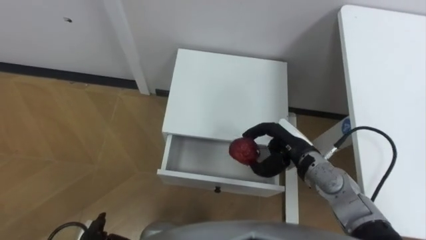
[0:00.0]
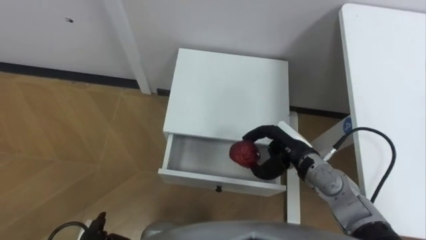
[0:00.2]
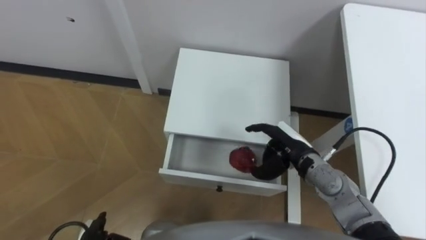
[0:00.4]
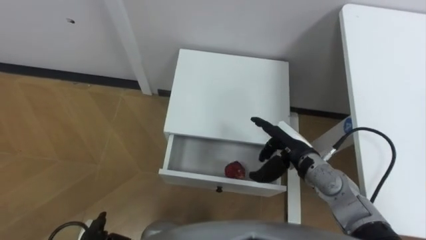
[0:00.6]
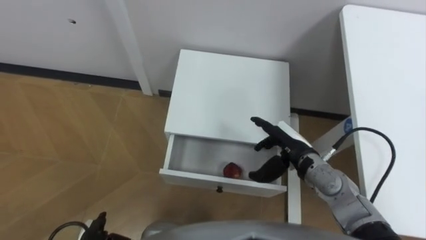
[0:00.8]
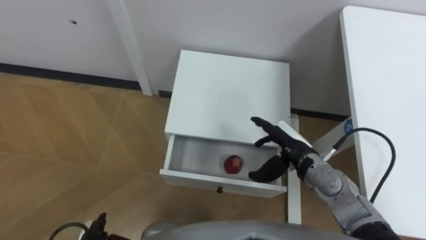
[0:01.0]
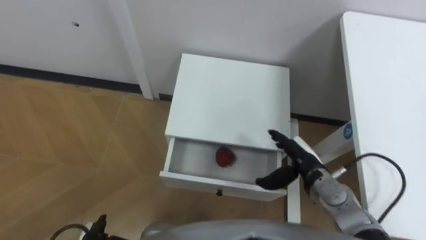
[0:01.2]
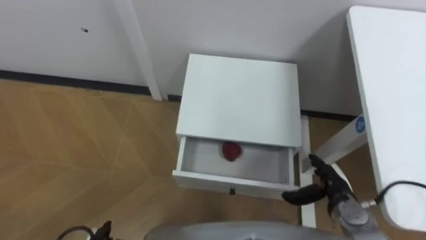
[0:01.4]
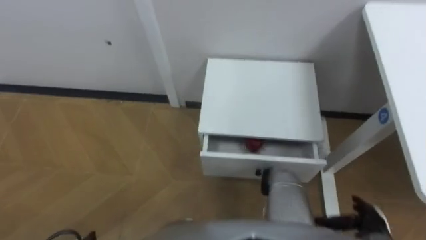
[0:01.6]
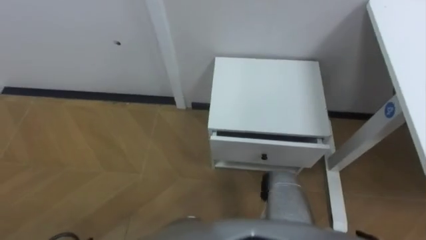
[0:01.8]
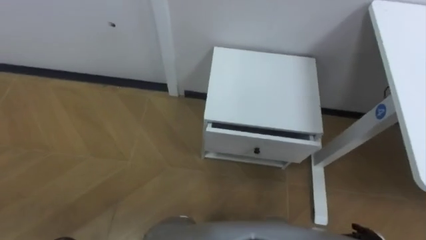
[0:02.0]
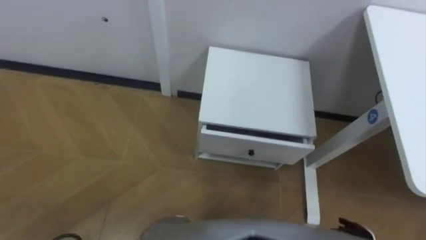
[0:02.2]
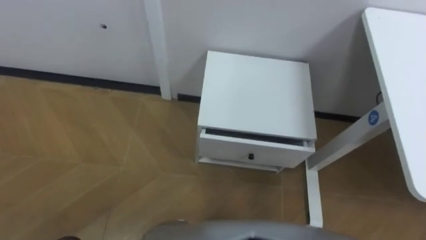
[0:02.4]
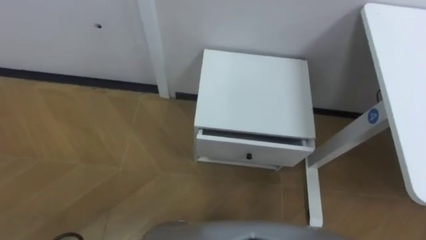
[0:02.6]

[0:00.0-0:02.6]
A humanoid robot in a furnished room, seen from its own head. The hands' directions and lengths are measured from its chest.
Task of the whole recording: Pick up the apple from the table, put it in the drawer, and close the drawer with leg.
0:00.0 to 0:01.2: The right hand ends up about 5 cm from where it was, and opens.

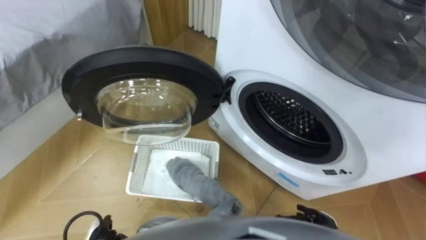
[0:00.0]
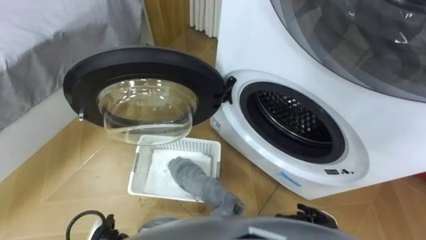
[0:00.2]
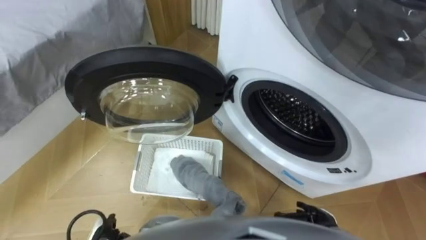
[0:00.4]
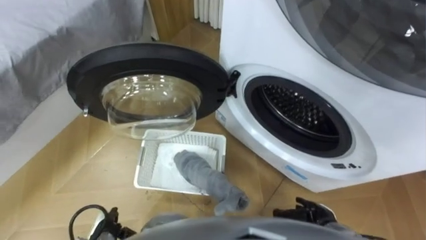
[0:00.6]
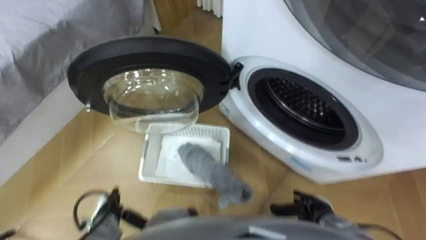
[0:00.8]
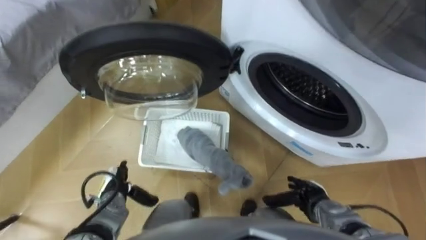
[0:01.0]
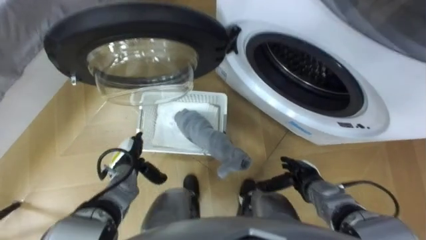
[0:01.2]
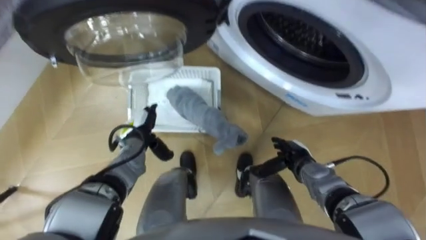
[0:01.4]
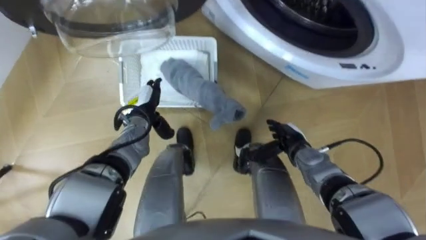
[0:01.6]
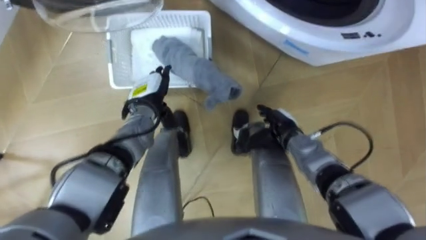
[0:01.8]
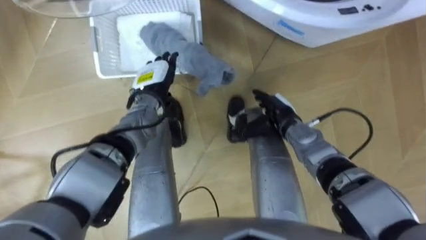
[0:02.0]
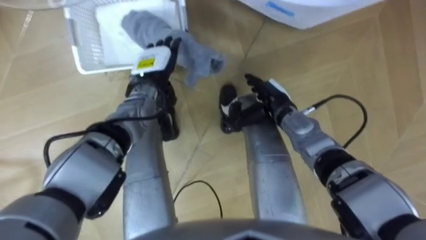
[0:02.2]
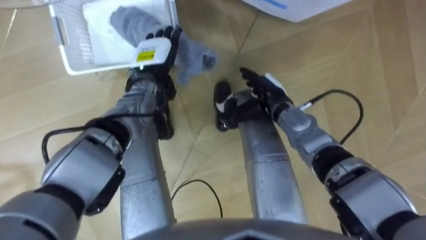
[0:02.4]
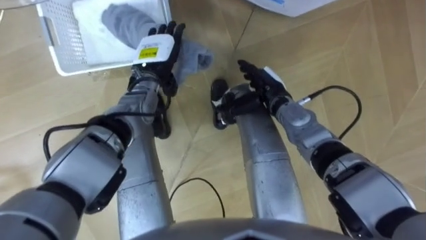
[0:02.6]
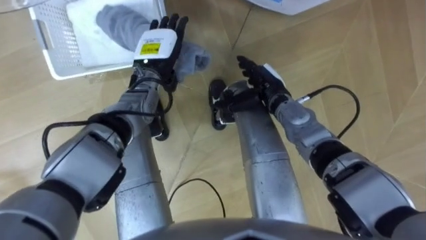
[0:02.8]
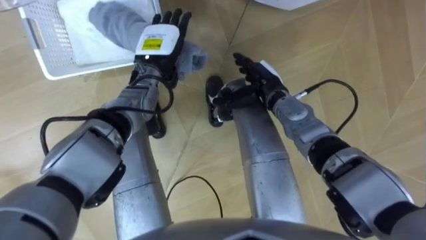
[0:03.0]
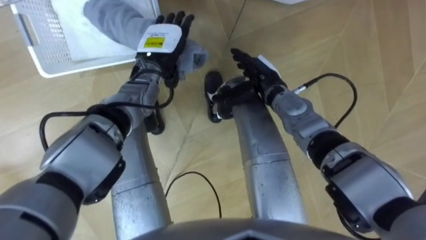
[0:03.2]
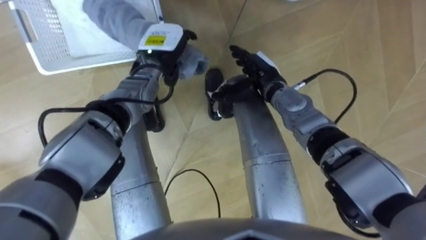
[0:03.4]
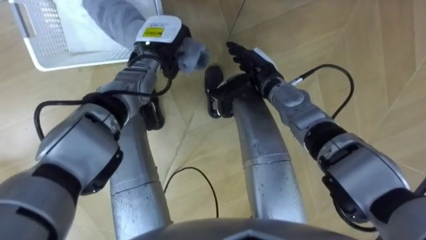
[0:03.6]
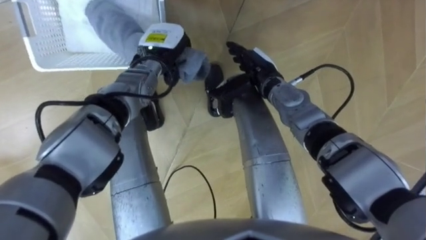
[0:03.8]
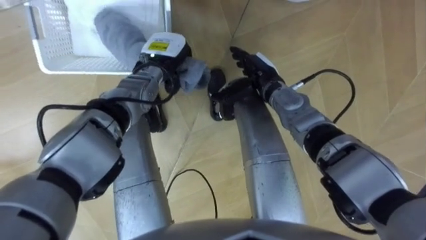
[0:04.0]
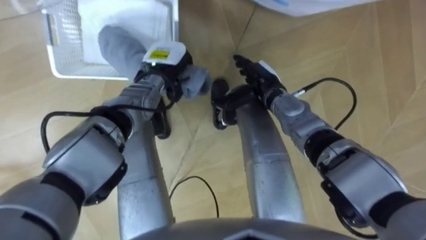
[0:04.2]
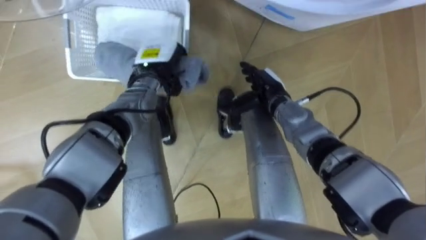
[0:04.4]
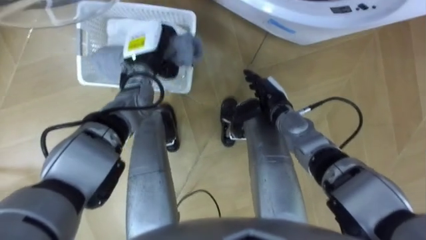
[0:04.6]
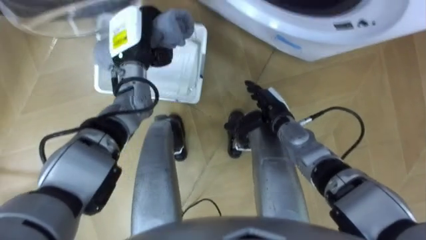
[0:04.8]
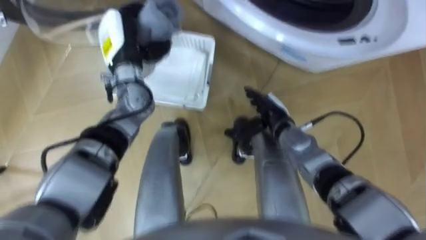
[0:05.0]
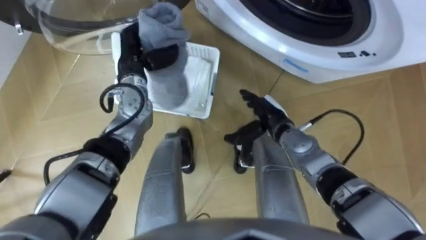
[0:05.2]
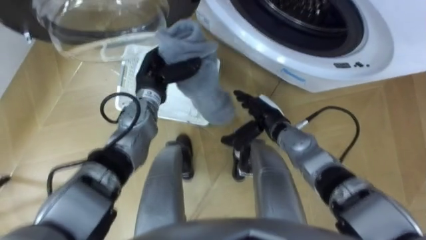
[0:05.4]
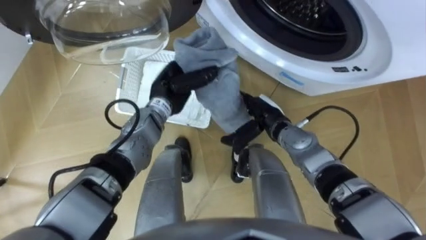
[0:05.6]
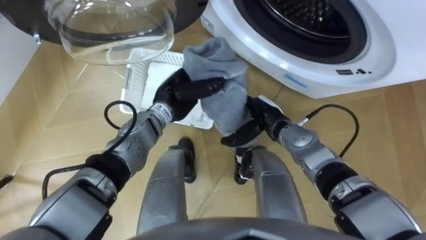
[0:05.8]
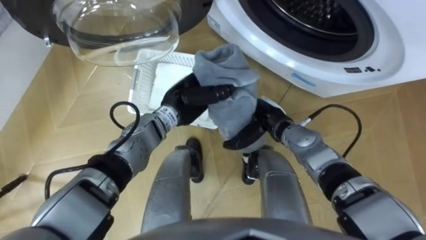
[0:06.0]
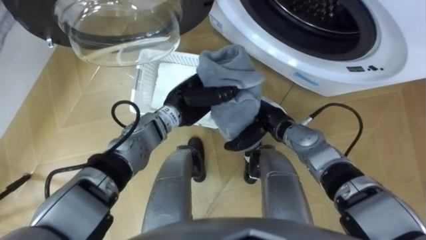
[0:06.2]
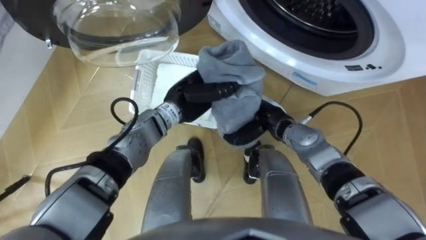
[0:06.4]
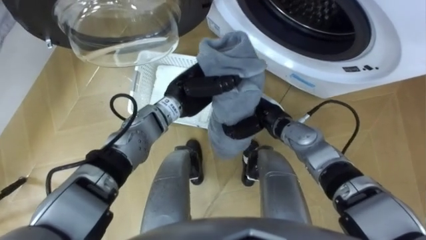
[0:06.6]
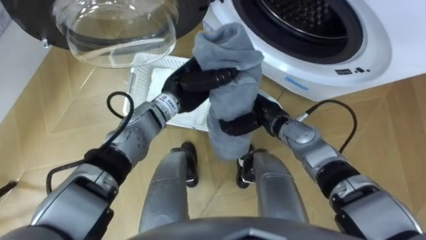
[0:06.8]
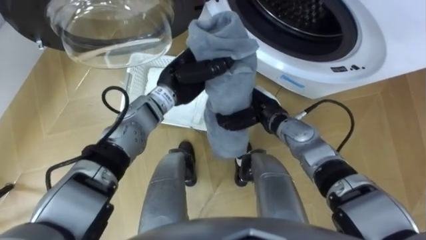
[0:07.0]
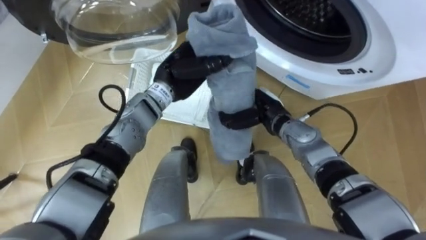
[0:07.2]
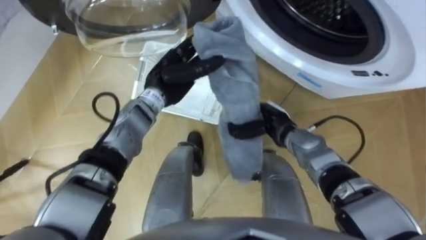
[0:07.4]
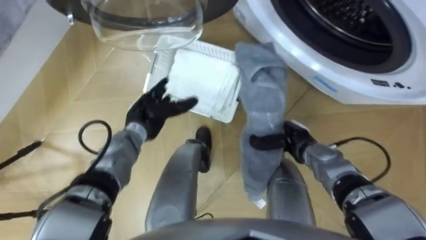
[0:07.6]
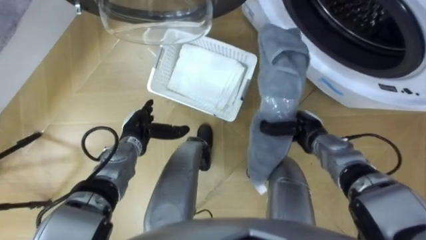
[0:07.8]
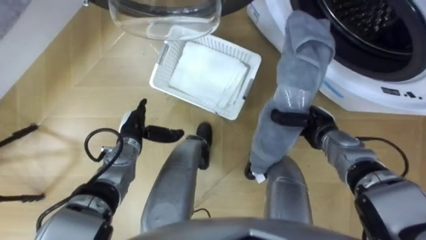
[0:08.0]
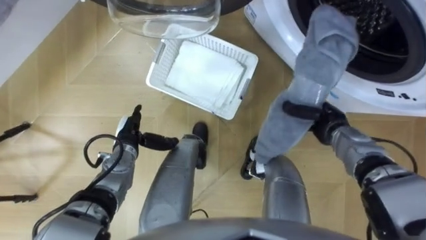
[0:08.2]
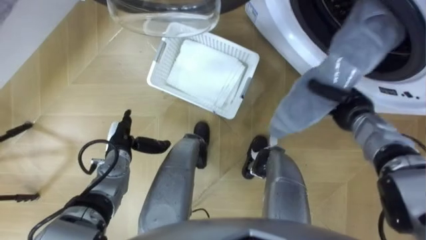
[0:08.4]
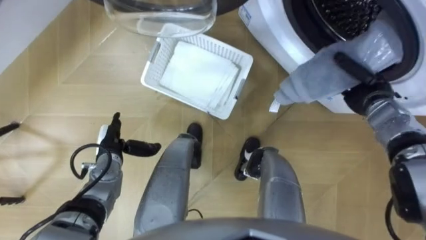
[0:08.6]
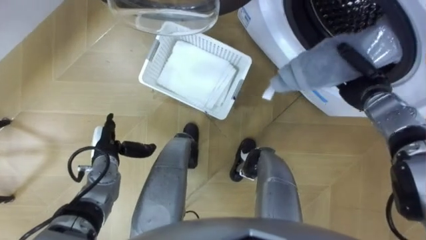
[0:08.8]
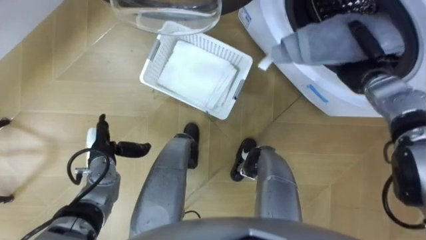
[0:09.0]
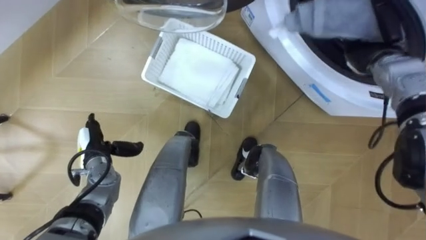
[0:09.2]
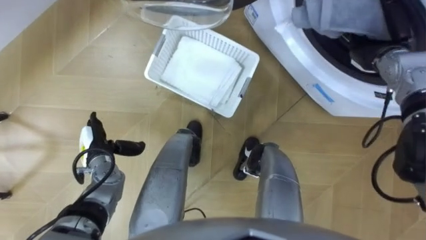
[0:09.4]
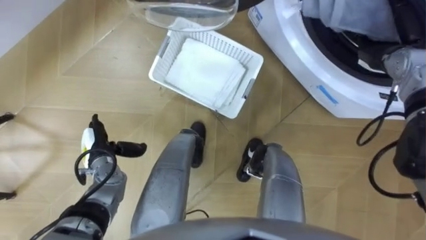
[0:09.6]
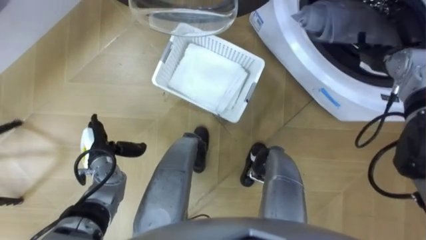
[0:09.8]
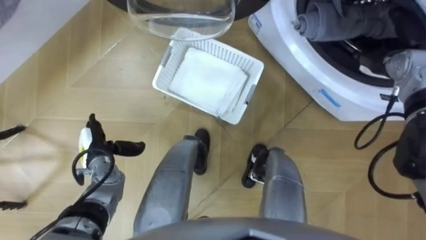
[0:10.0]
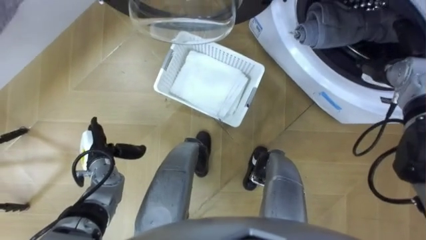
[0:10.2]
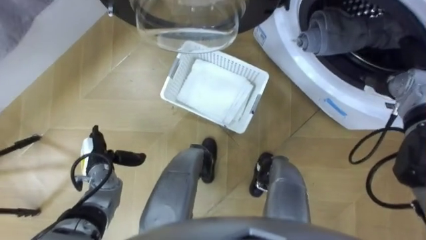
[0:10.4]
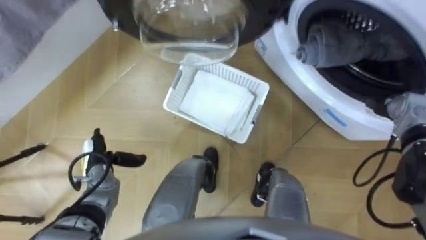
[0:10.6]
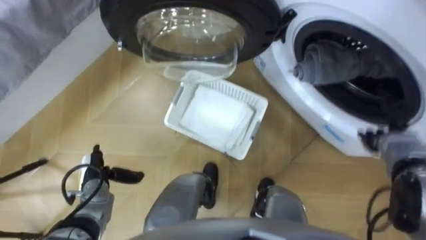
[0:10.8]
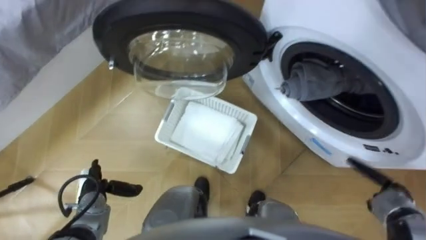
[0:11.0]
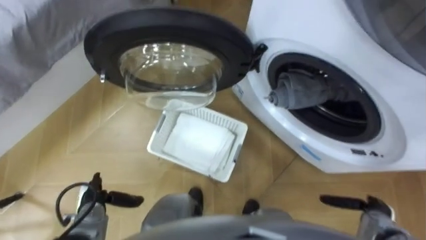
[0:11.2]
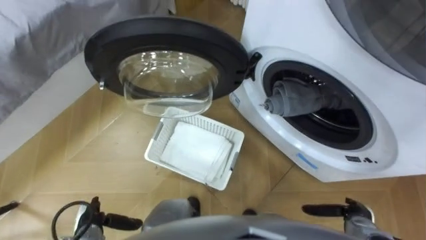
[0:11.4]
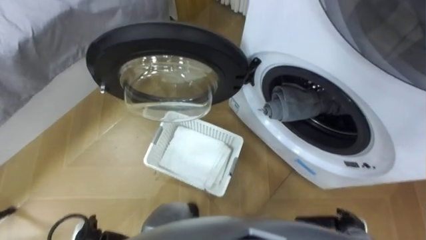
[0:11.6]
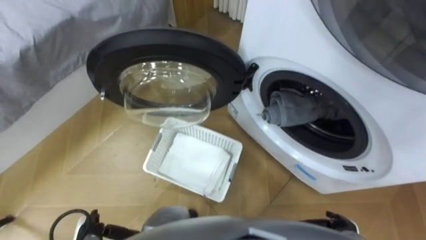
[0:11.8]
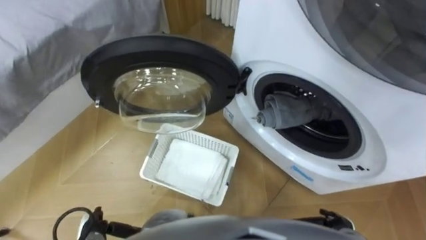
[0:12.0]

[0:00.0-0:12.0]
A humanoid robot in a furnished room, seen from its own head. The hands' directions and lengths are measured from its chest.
Task of the whole recording: Take the towel from the basket and put it into the washing machine.
0:01.6 to 0:03.0: The right hand shifts some 15 cm upward, forward and to the left; the left hand travels upward, forward and to the right by approximately 15 cm.
0:03.0 to 0:04.4: The left hand closes.
0:04.4 to 0:06.0: The left hand travels backward and to the right by some 10 cm; the right hand moves some 5 cm.
0:06.0 to 0:07.6: The right hand goes approximately 5 cm to the right, and closes up. Meanwhile the left hand moves to the left and downward, about 10 cm, and opens.
0:07.6 to 0:09.0: The left hand moves to the left and backward, about 15 cm. Meanwhile the right hand is displaced to the right, upward and forward by roughly 20 cm.
0:09.0 to 0:10.4: The right hand goes approximately 5 cm to the right, and opens its fingers.
0:10.4 to 0:12.0: The right hand heads backward and downward, covering about 35 cm.

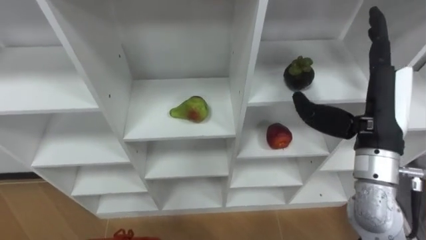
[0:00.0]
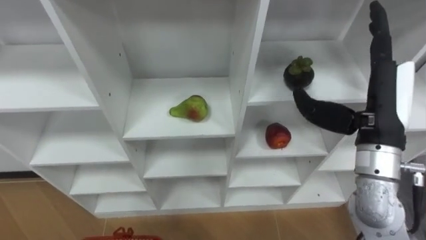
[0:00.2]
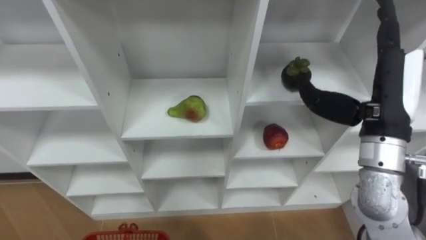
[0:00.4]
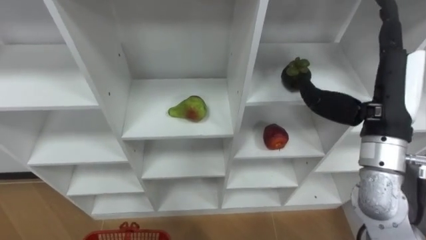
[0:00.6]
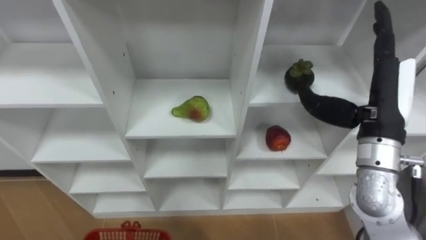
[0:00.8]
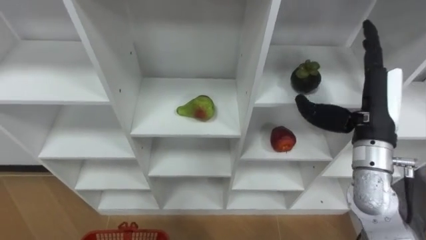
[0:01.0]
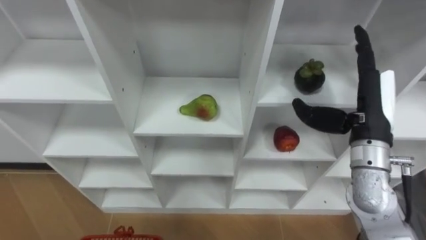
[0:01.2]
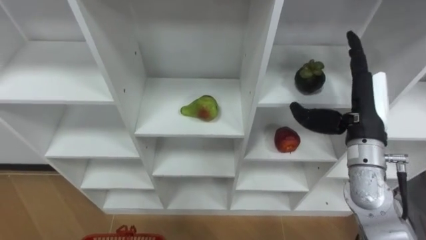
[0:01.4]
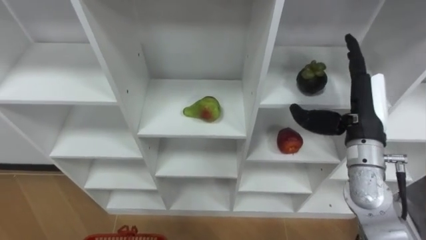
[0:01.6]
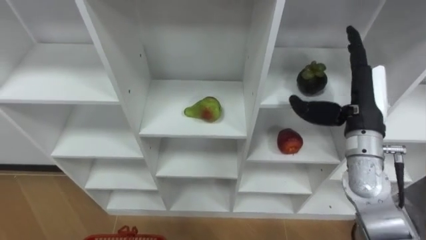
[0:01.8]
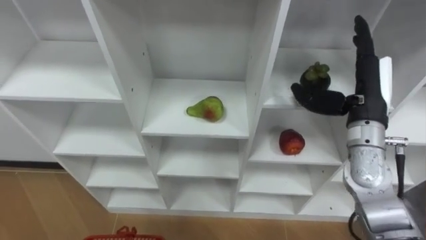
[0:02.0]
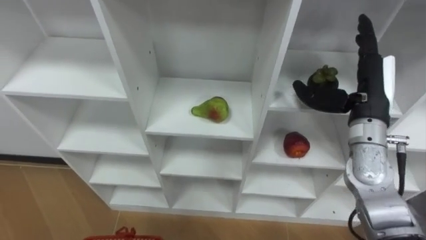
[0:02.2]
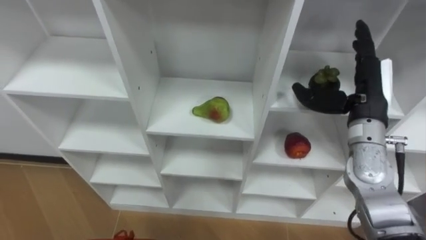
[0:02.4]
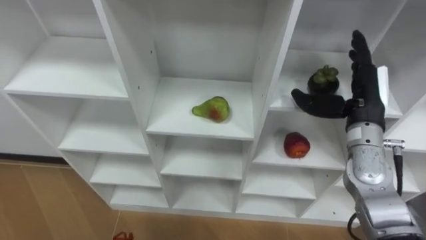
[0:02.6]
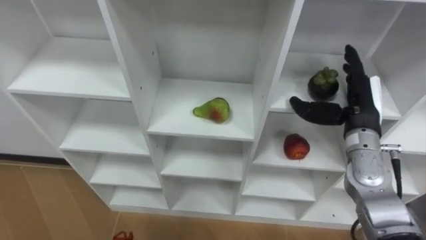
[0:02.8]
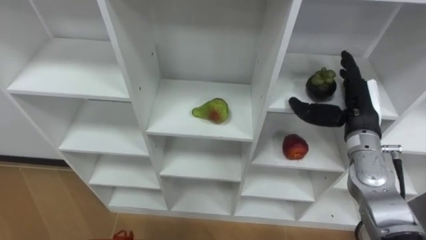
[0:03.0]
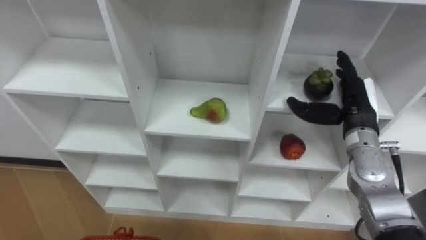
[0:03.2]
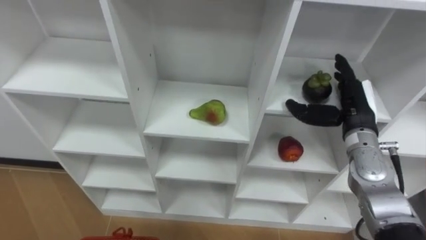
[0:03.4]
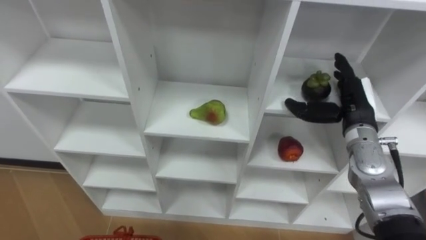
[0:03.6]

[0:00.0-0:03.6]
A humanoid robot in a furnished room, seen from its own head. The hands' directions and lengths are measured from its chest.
Task of the whole recording: Hold the basket and collect the fruits from 3 different cells of the closet into it.
0:00.0 to 0:01.8: The right hand changes place by some 5 cm.
0:01.8 to 0:03.6: The right hand is displaced downward by some 5 cm.
